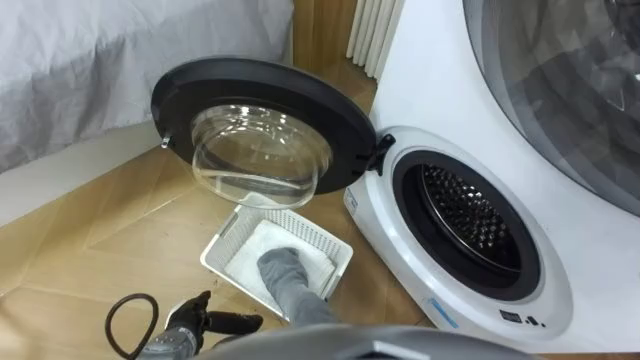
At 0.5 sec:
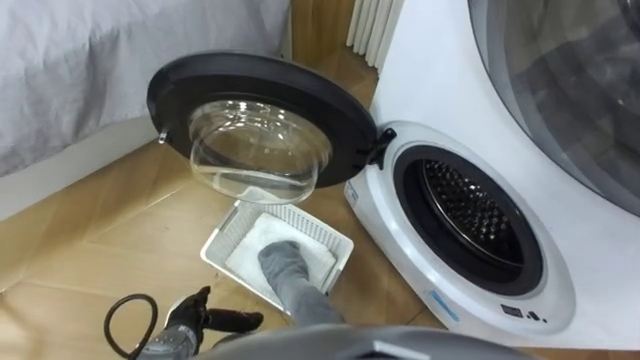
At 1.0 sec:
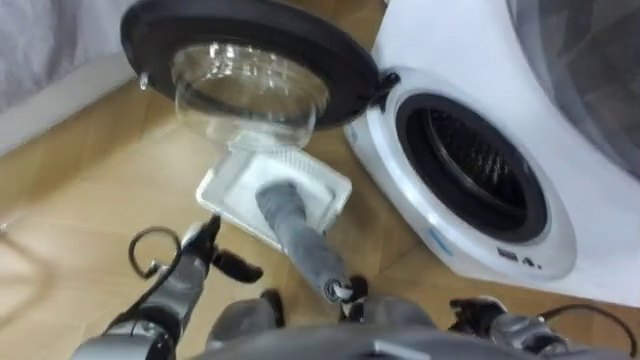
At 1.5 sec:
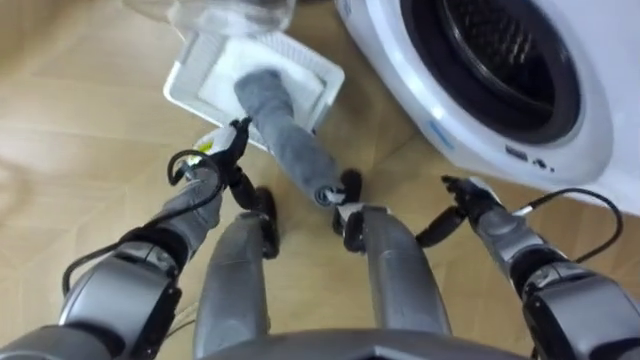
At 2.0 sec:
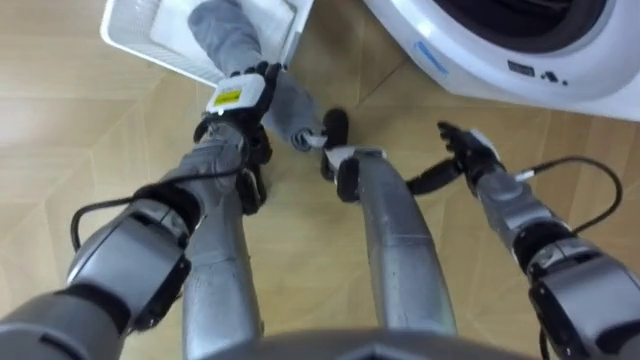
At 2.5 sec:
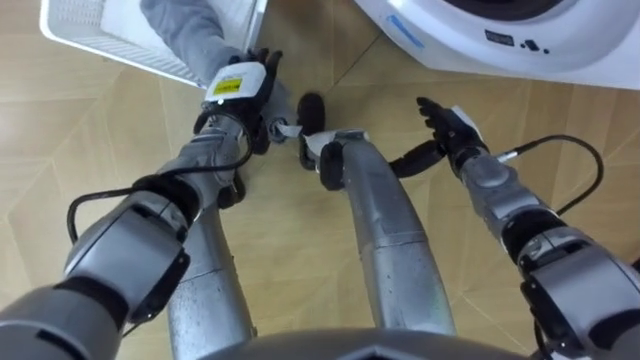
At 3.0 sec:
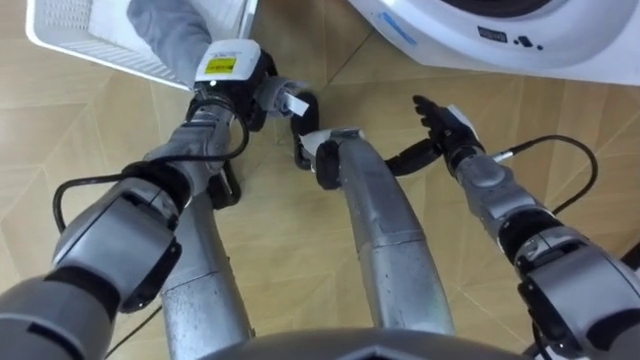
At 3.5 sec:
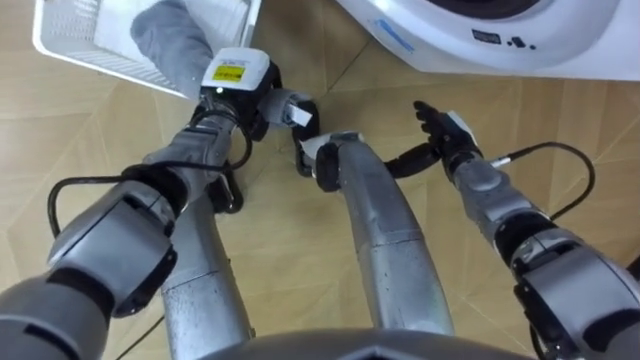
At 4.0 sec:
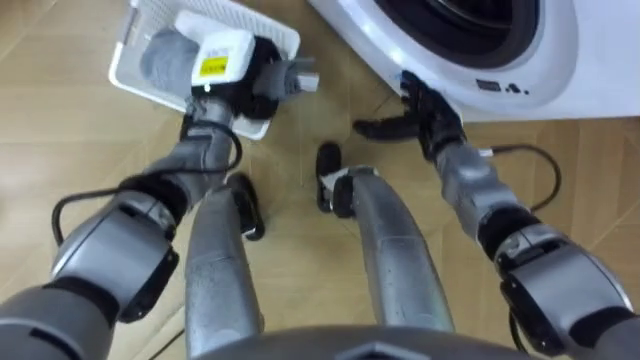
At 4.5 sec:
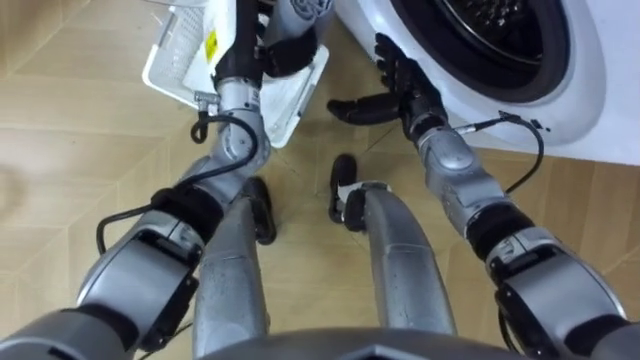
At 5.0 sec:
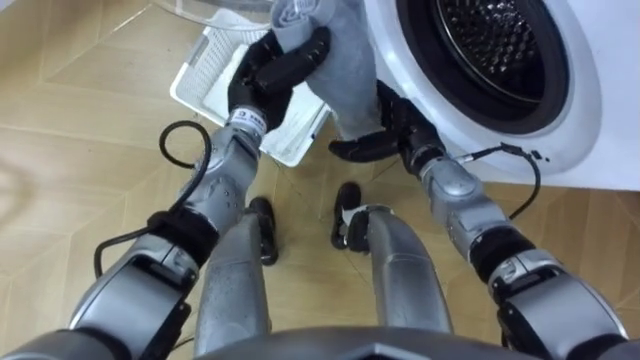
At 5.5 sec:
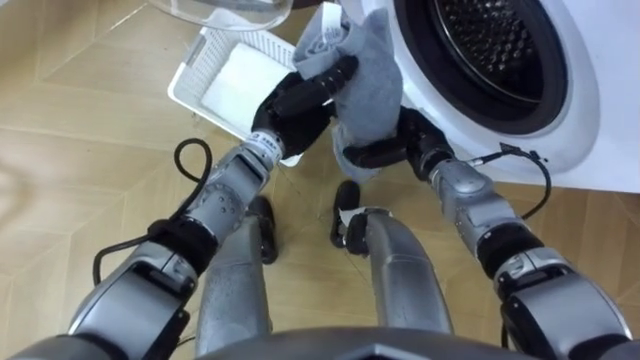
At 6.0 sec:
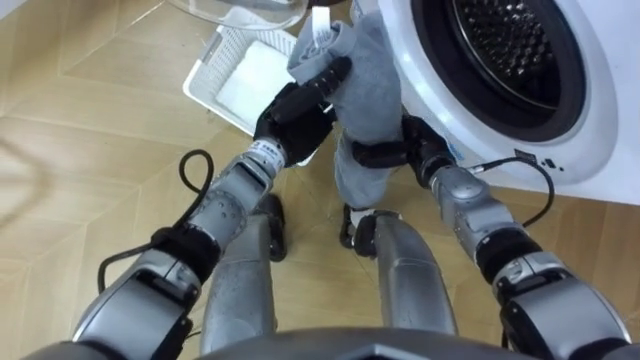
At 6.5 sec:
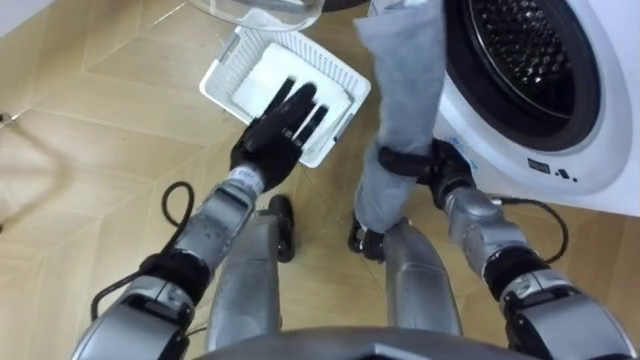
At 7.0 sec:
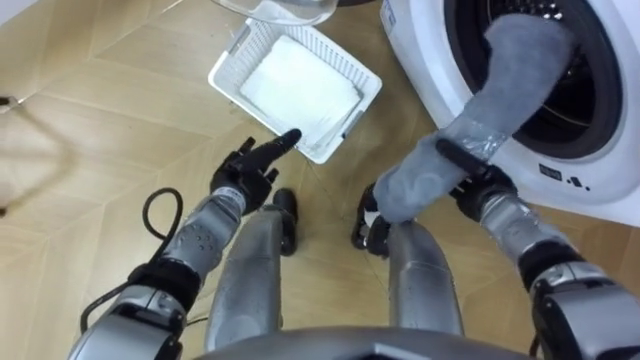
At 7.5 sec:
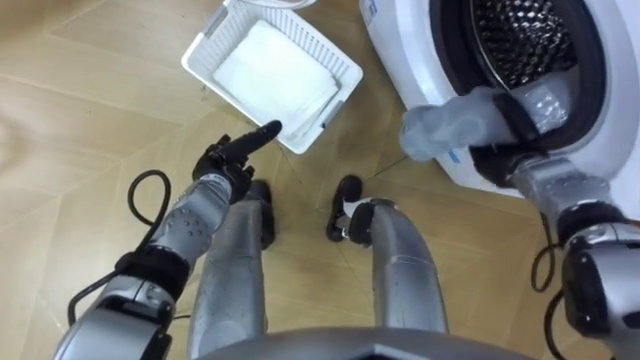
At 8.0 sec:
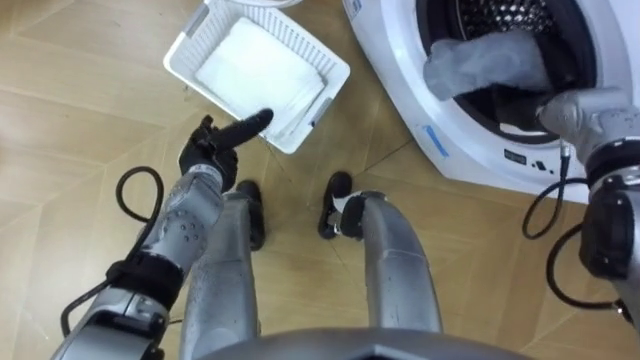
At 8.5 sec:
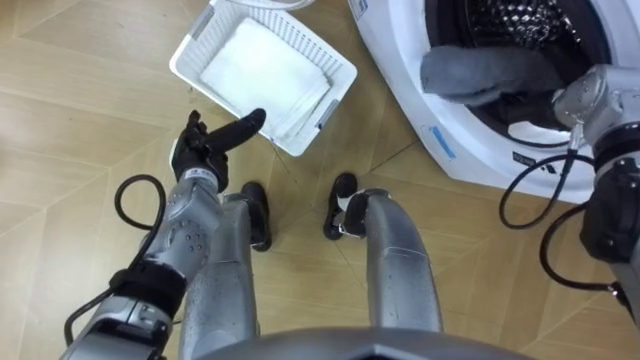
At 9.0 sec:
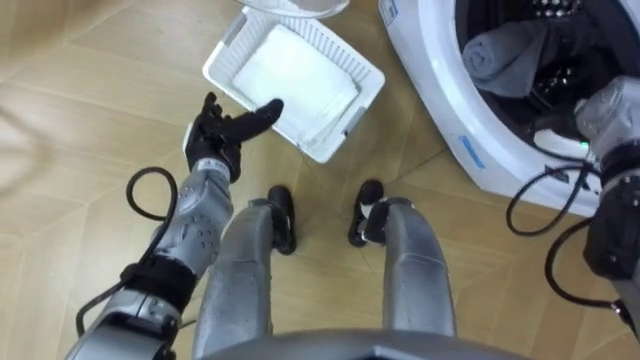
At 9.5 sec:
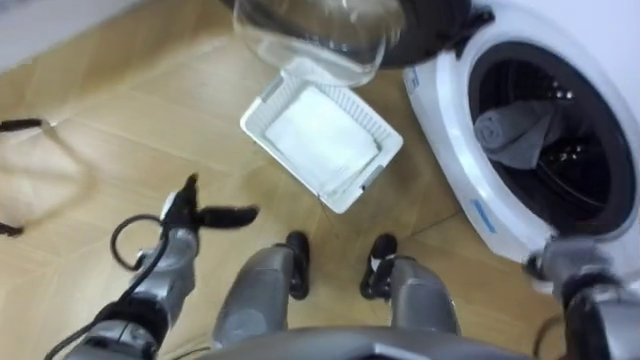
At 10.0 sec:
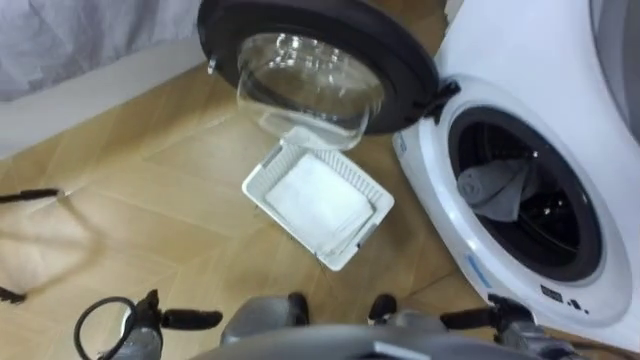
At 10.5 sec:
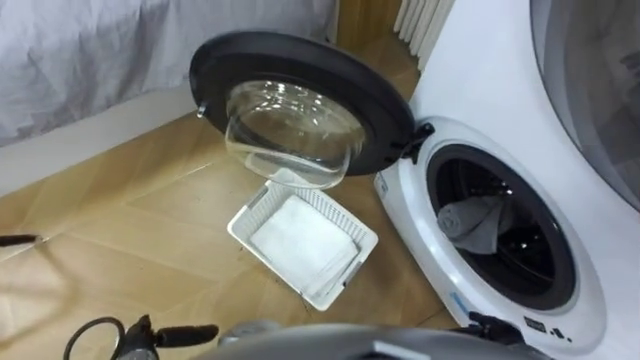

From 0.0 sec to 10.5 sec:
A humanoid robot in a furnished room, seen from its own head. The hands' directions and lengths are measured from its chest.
Task of the whole recording: Take the towel from the basket and put it into the washing machine.
From 2.0 sec to 4.0 sec: The right hand goes approximately 5 cm to the left; the left hand goes approximately 5 cm upward, and closes.
From 4.0 sec to 6.5 sec: The left hand heads downward and backward, covering approximately 10 cm, and opens. The right hand is displaced backward and downward by about 10 cm, and closes.
From 6.5 sec to 8.5 sec: The right hand travels to the right, upward and forward by about 15 cm, and opens its fingers, while the left hand heads to the left, covering approximately 10 cm.
From 8.5 sec to 10.5 sec: The two hands go roughly 35 cm backward and downward.

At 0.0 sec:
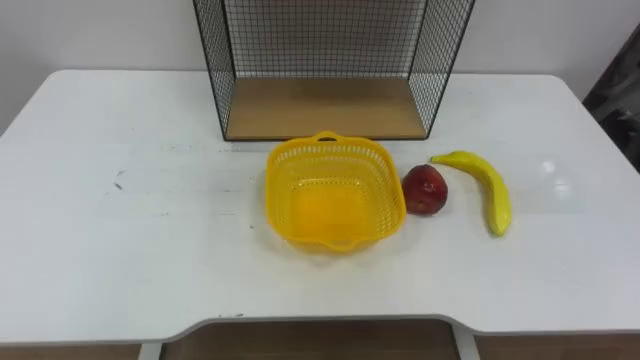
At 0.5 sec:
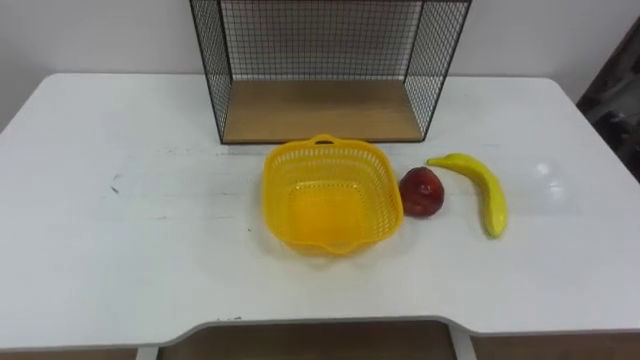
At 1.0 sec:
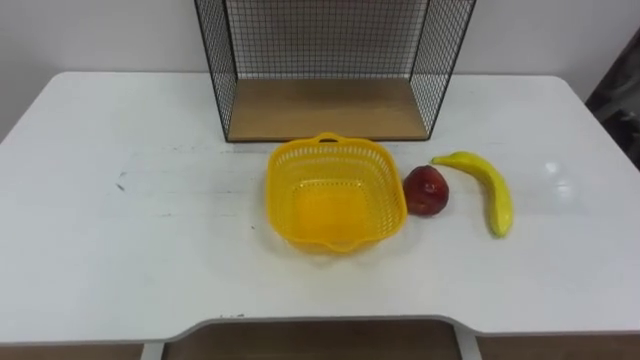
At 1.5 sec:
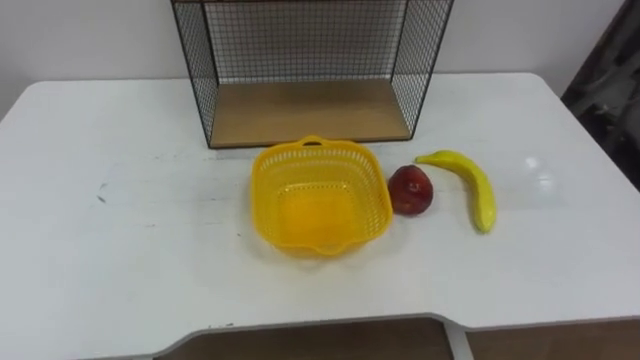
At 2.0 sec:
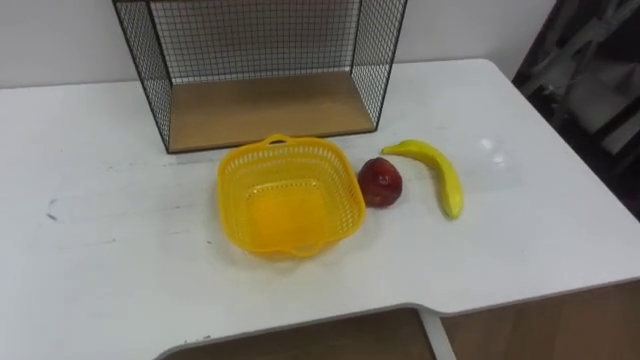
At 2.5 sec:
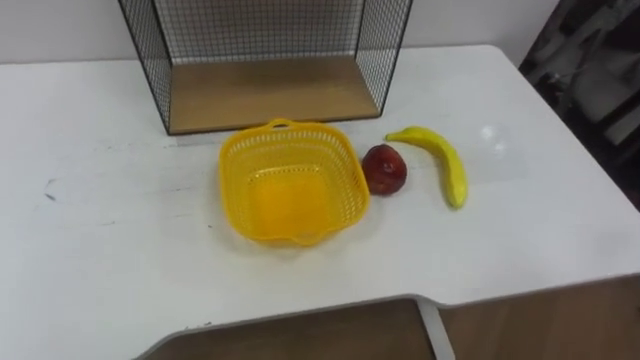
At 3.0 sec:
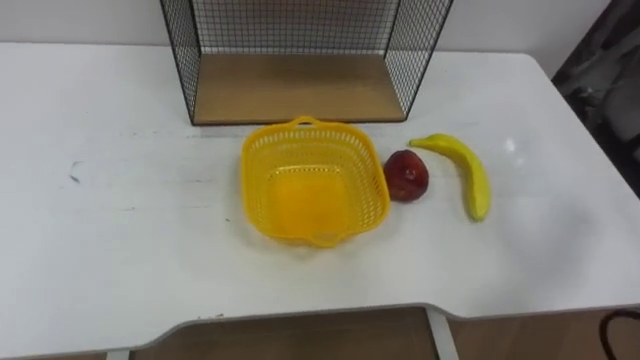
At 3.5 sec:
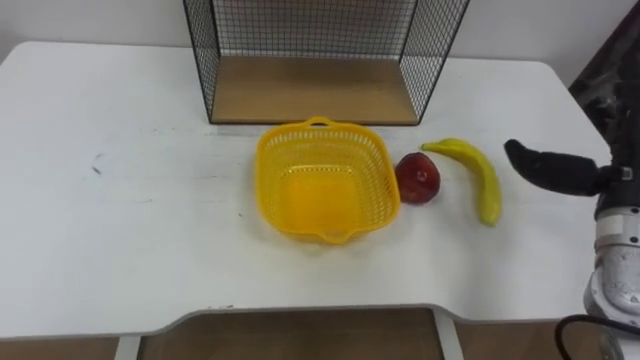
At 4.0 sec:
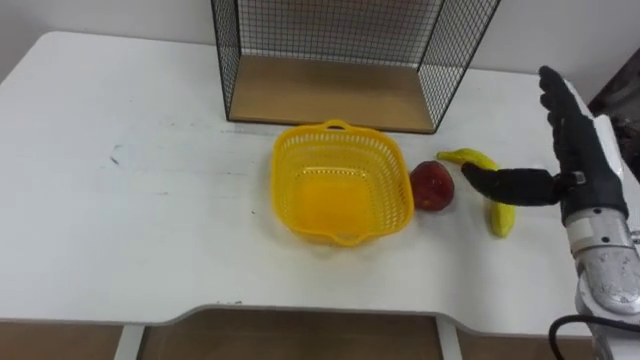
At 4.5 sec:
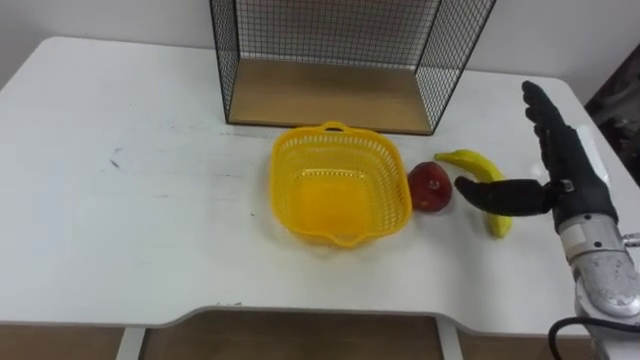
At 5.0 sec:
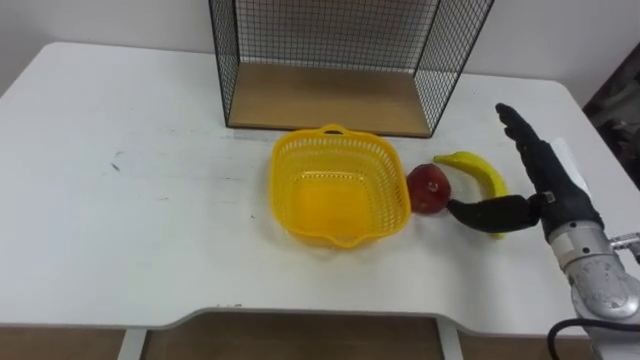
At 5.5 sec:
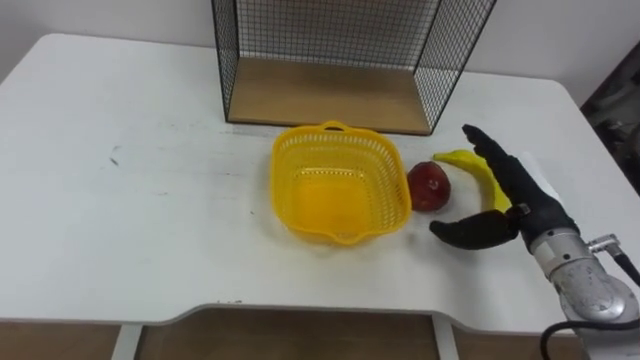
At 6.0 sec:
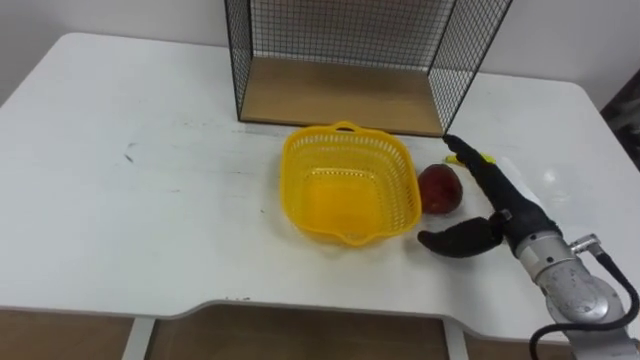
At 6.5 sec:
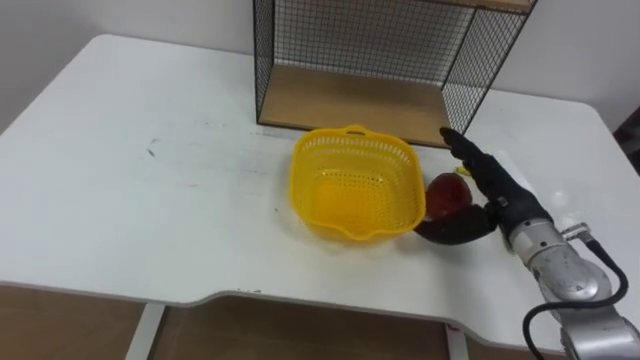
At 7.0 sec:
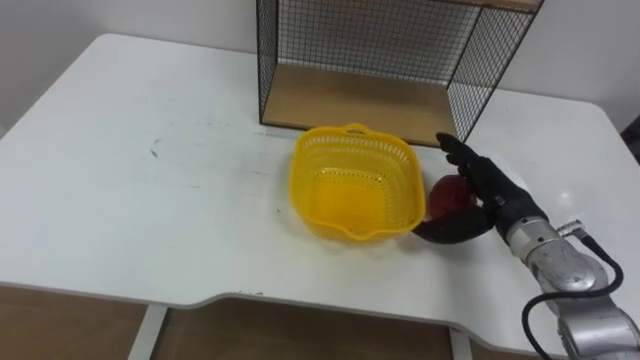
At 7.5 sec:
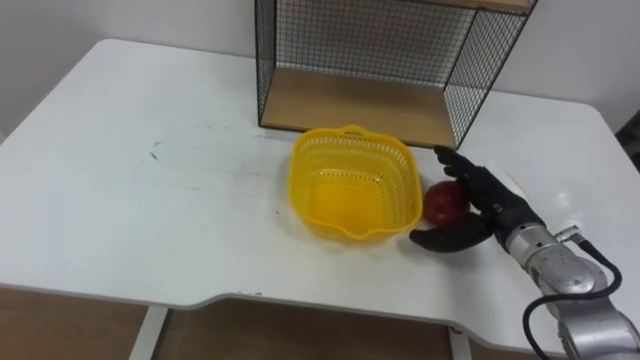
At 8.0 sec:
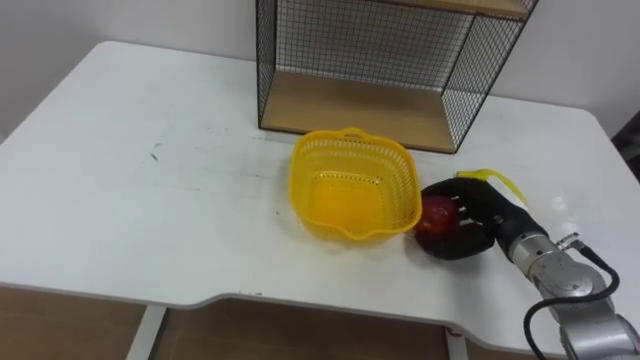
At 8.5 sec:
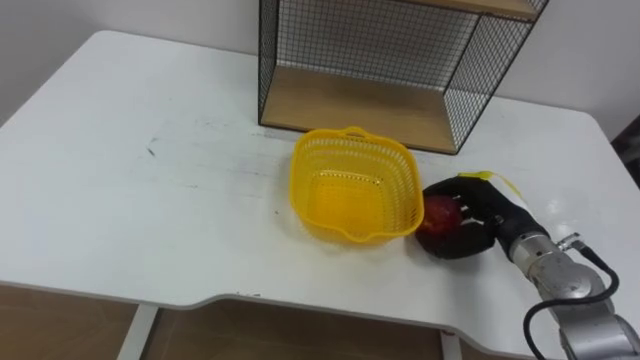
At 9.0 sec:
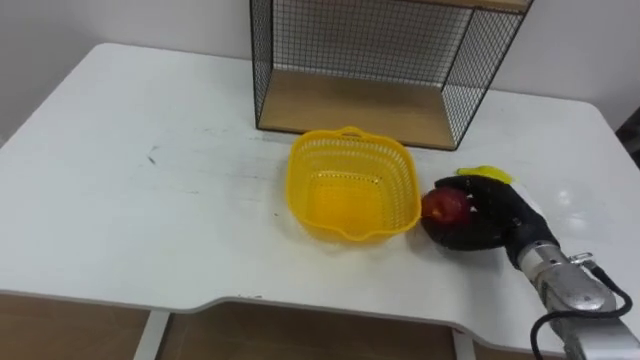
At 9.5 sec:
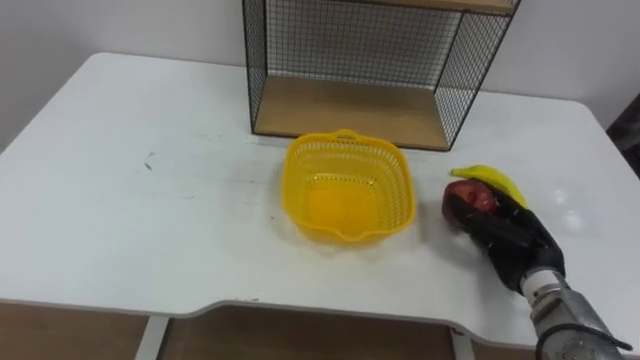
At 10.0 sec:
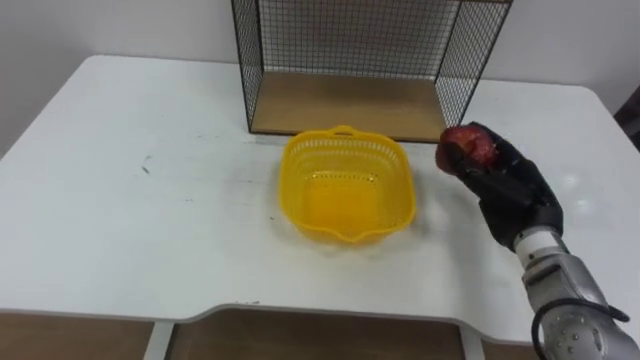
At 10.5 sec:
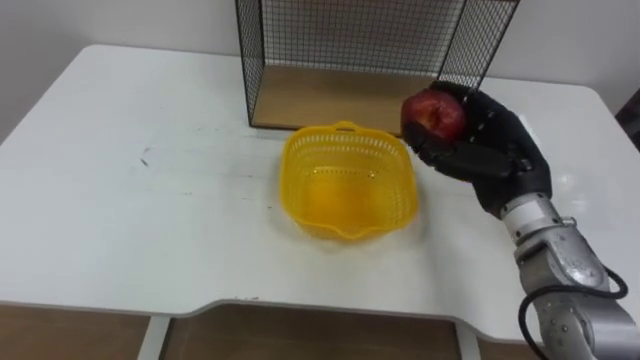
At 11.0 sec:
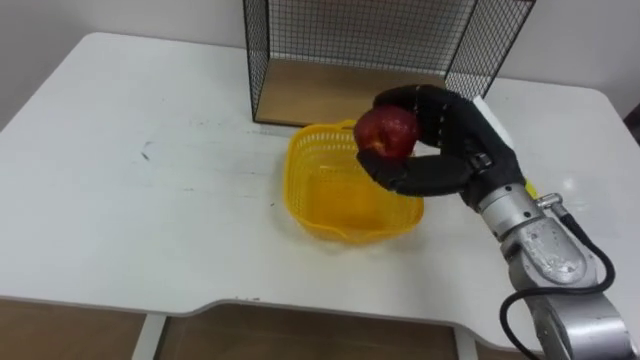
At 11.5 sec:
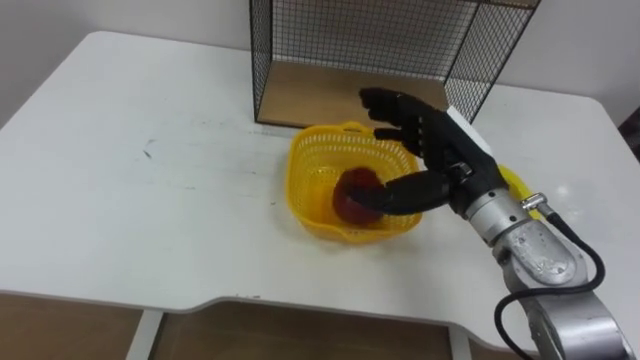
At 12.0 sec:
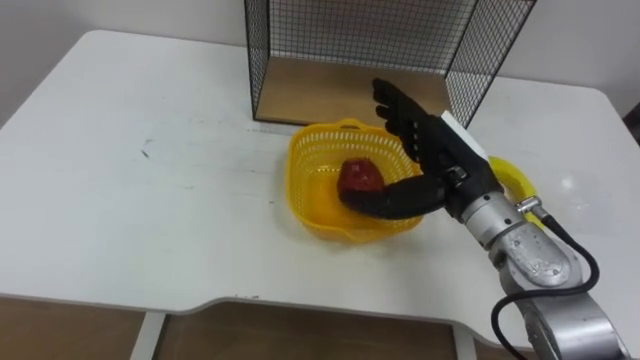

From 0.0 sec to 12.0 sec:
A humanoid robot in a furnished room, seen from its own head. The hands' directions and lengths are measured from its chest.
Task of the whole recording: Put the fruit on the table into the basket, then place the basket on the shelf.
From 4.0 sec to 6.0 sec: The right hand is displaced downward and to the left by approximately 10 cm.
From 6.0 sec to 8.0 sec: The right hand shifts roughly 5 cm downward, and closes.
From 10.0 sec to 12.0 sec: The right hand moves to the left and upward, about 15 cm, and opens.
